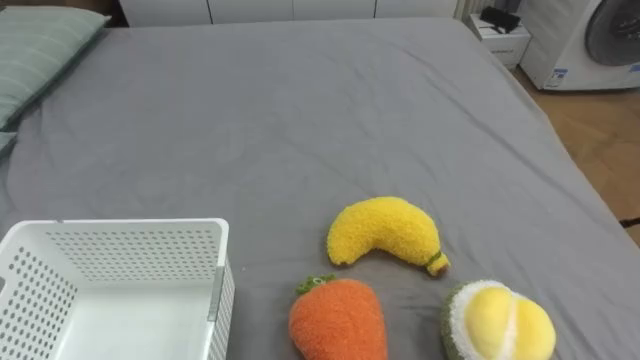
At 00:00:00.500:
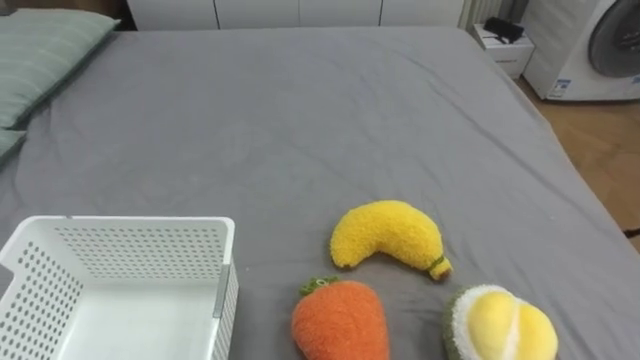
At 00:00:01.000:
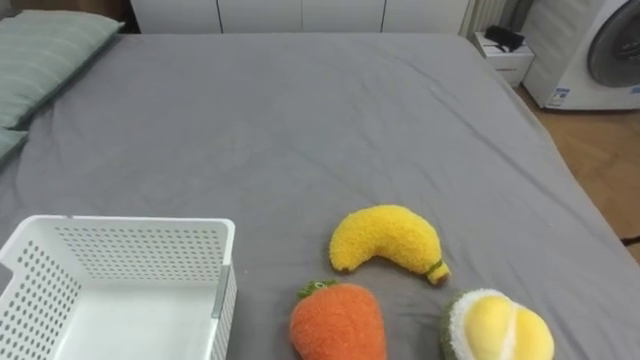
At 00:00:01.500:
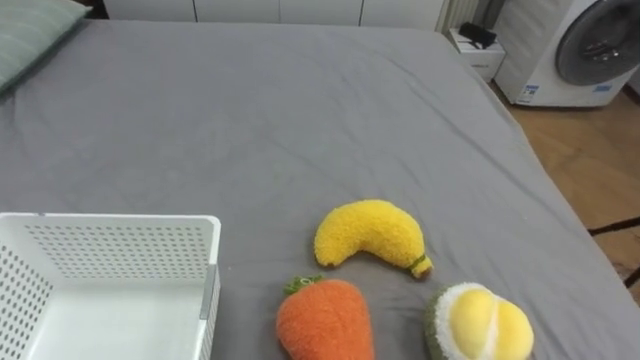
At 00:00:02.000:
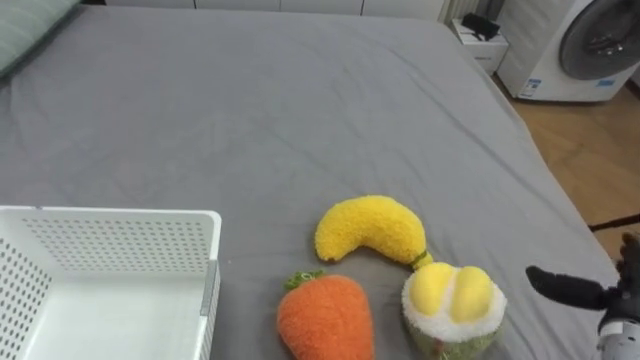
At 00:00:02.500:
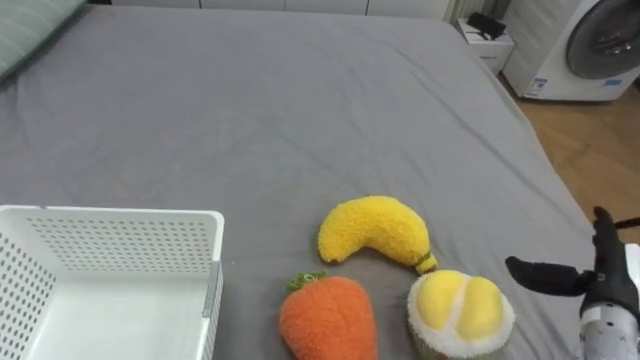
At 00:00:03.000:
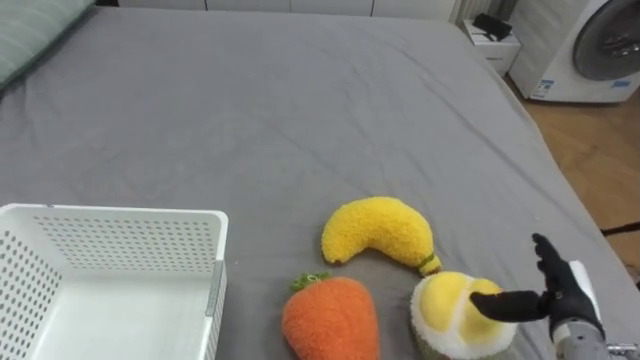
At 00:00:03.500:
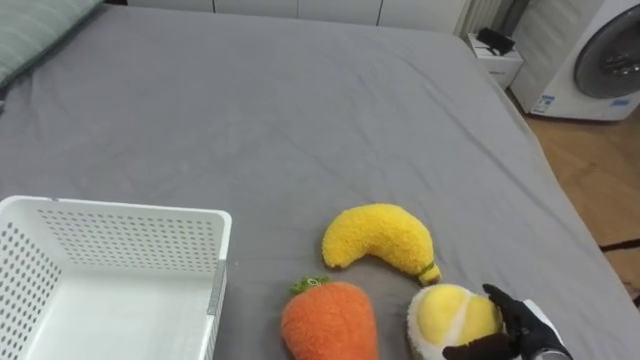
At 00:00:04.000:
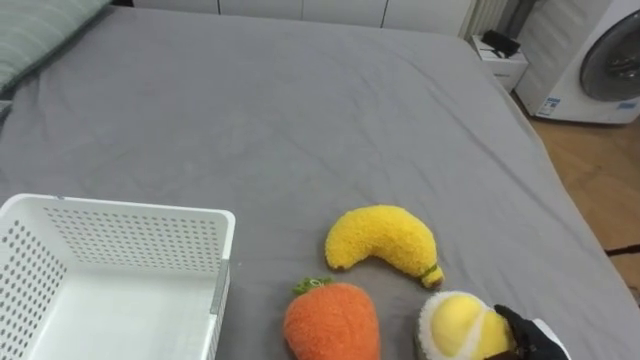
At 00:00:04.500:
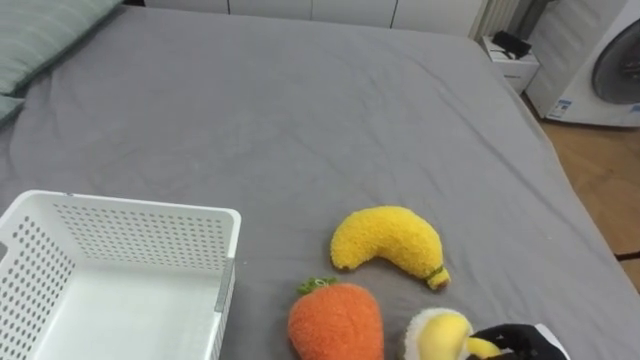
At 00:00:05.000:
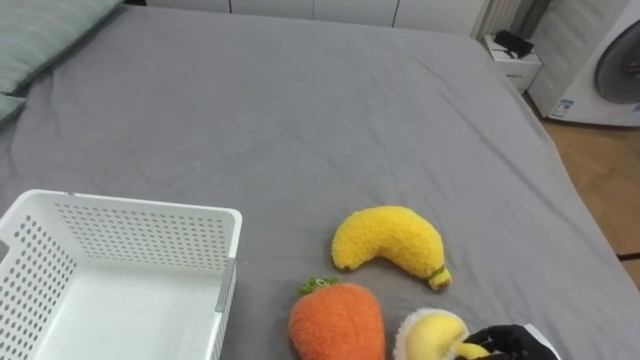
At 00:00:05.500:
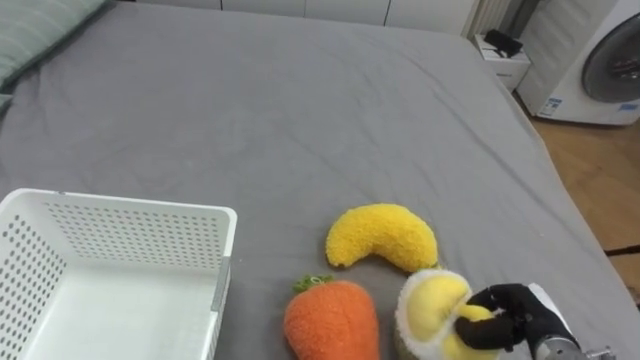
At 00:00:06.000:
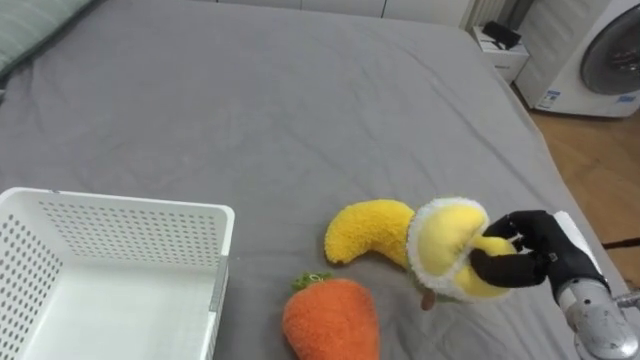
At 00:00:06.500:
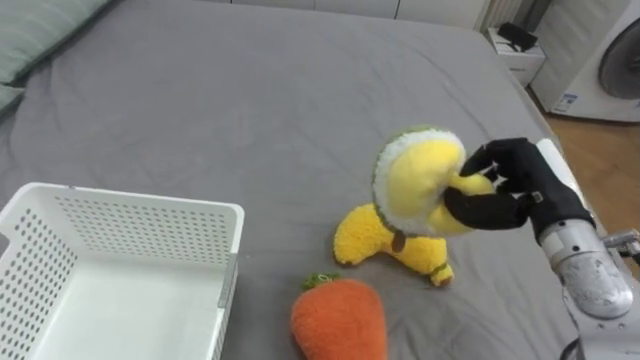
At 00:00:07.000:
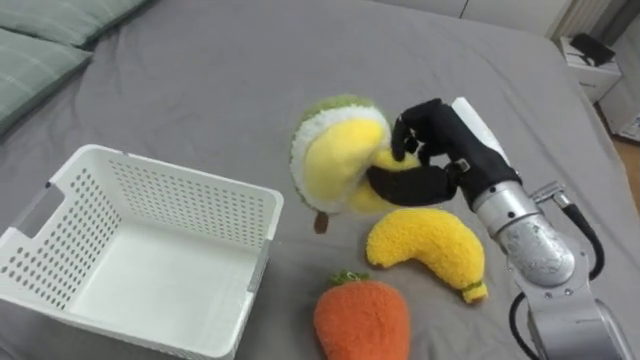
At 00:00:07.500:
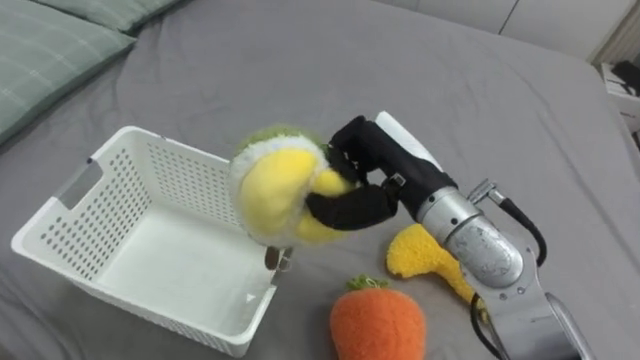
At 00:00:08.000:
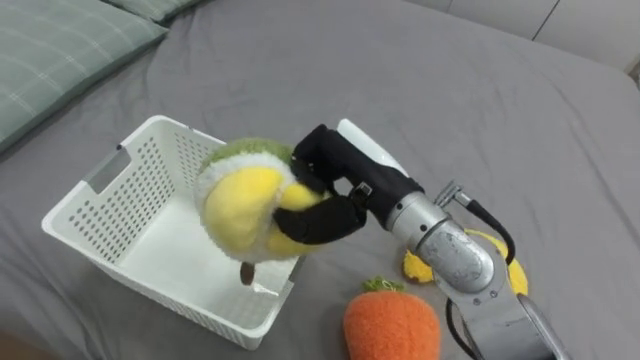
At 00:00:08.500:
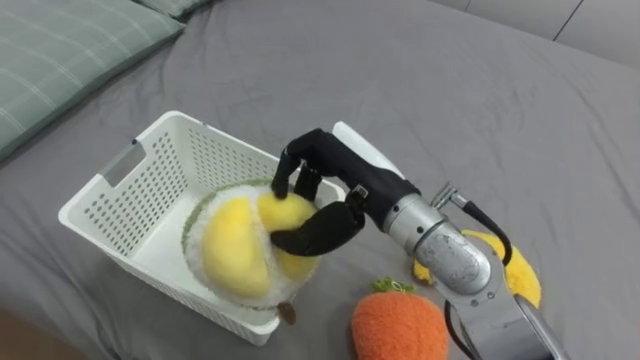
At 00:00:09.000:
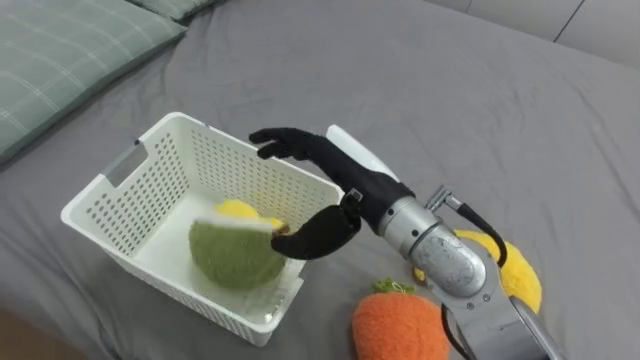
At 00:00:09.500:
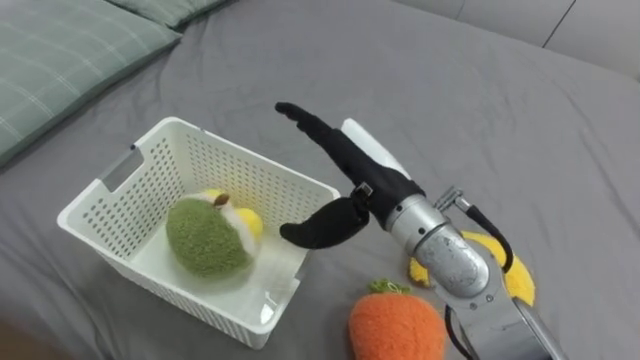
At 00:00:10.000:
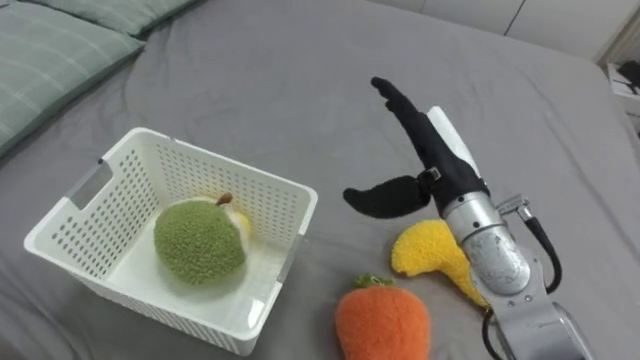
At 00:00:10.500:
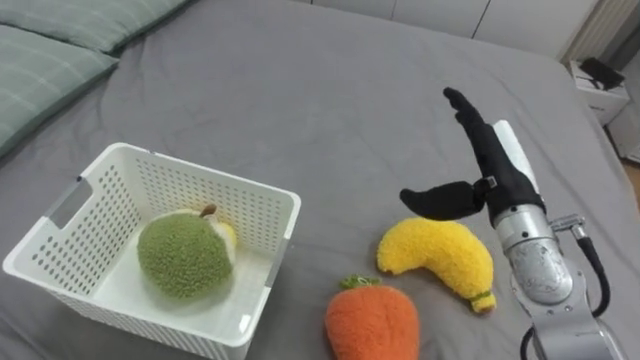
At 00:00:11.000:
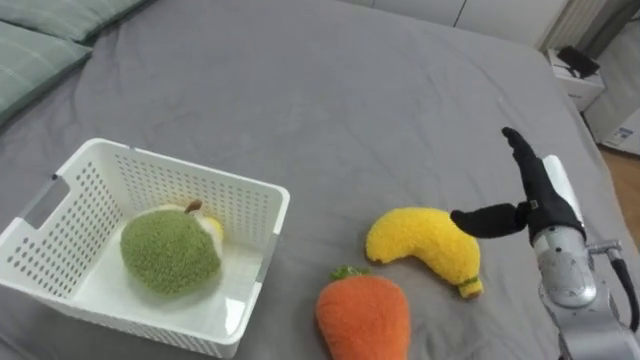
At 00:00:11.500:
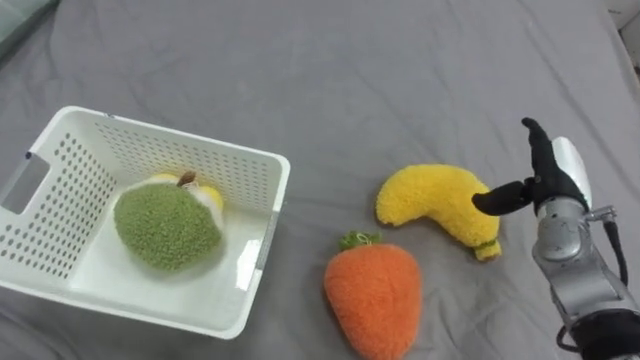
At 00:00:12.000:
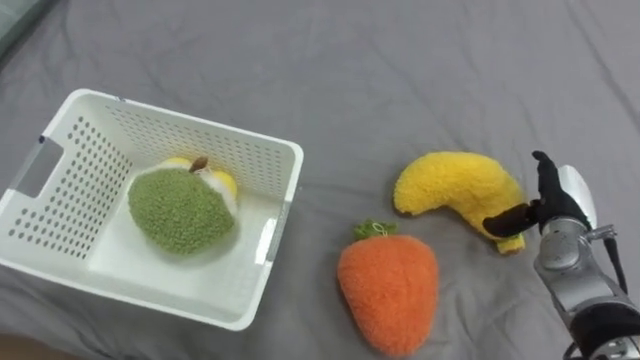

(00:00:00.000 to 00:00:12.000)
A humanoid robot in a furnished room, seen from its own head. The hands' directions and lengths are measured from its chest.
Task of the whole recording: Put the toys on the bed into the basket on the left.
00:00:02.000 - 00:00:04.000: The right hand shifts approximately 10 cm to the left and downward.
00:00:04.000 - 00:00:06.000: The right hand travels upward and forward by approximately 15 cm, and closes up.
00:00:06.000 - 00:00:08.000: The right hand goes approximately 30 cm to the left and upward.
00:00:08.000 - 00:00:10.000: The right hand is displaced to the right by approximately 10 cm, and opens up.
00:00:10.000 - 00:00:12.000: The right hand is displaced to the right and downward by some 25 cm.

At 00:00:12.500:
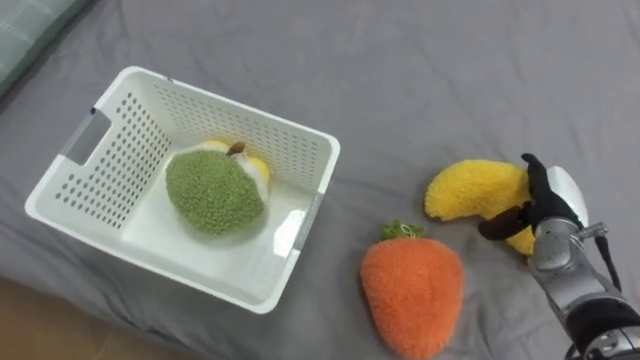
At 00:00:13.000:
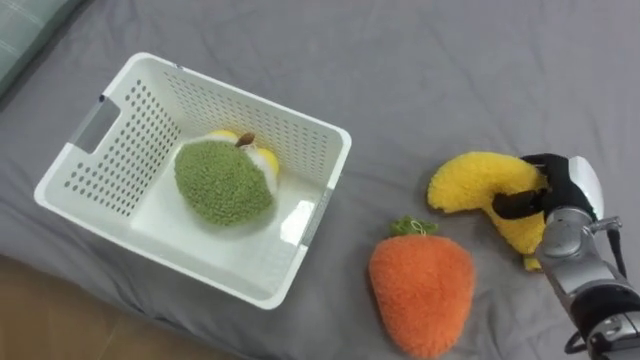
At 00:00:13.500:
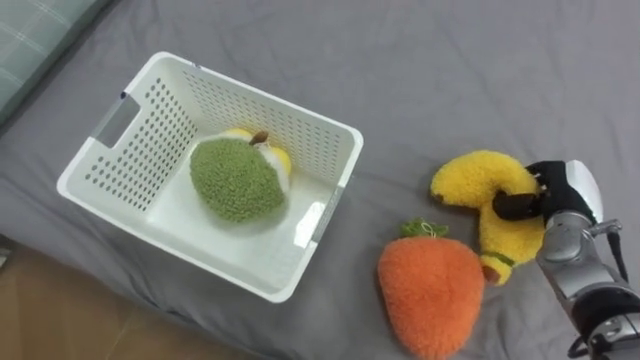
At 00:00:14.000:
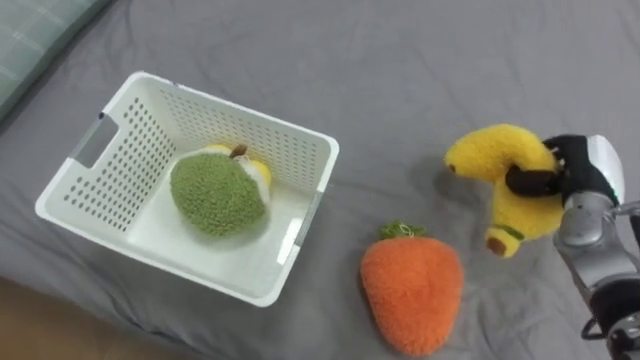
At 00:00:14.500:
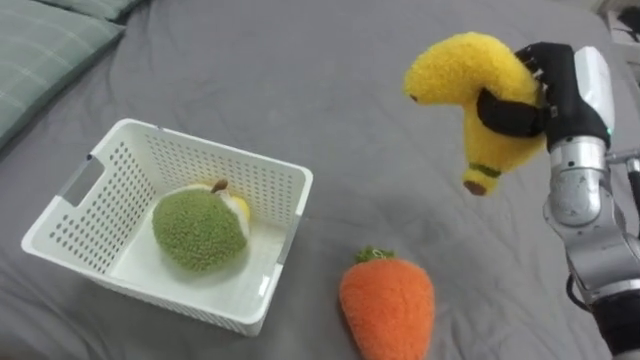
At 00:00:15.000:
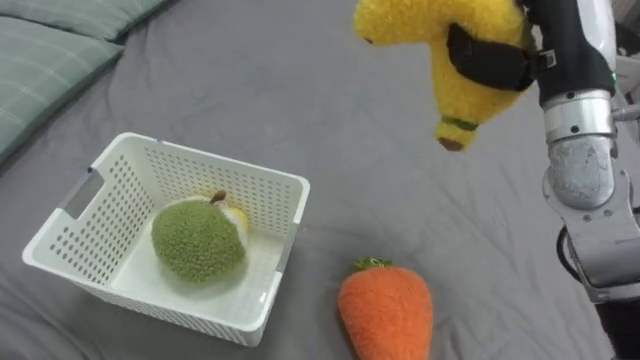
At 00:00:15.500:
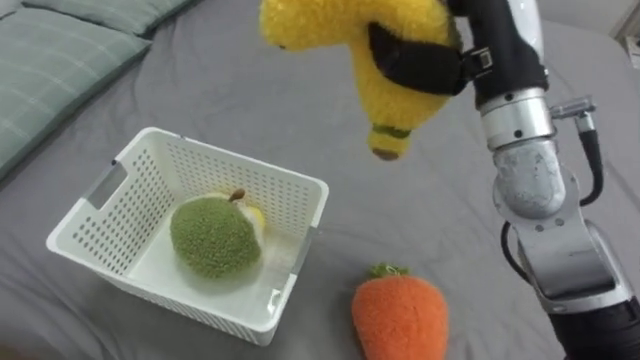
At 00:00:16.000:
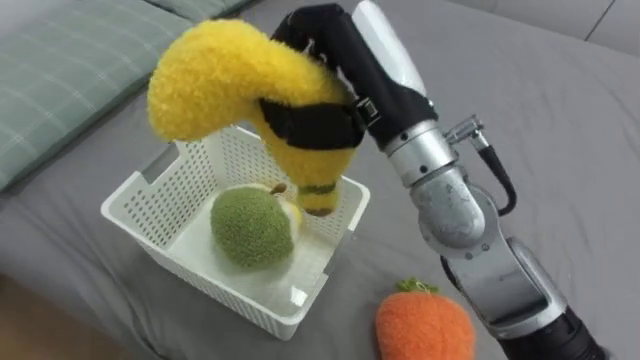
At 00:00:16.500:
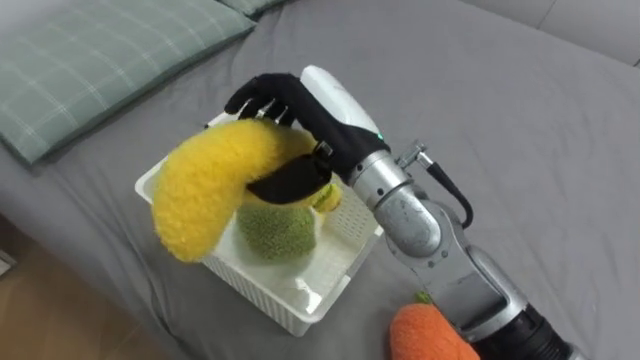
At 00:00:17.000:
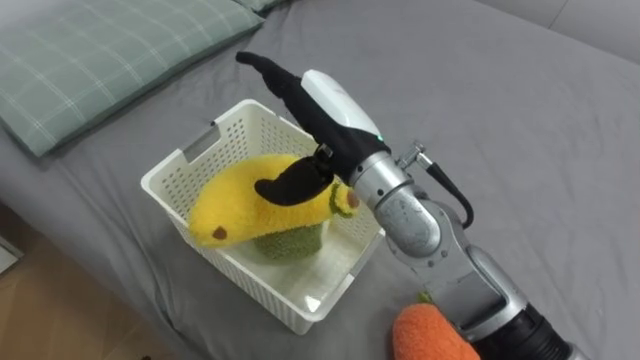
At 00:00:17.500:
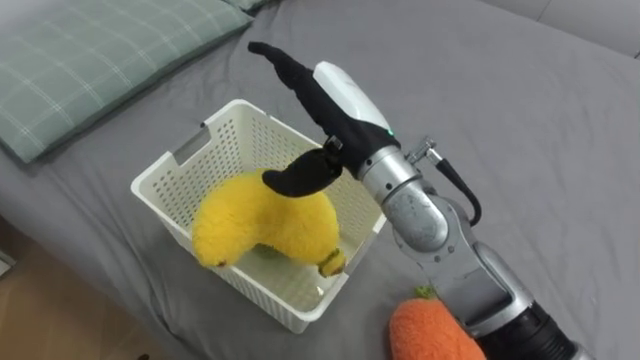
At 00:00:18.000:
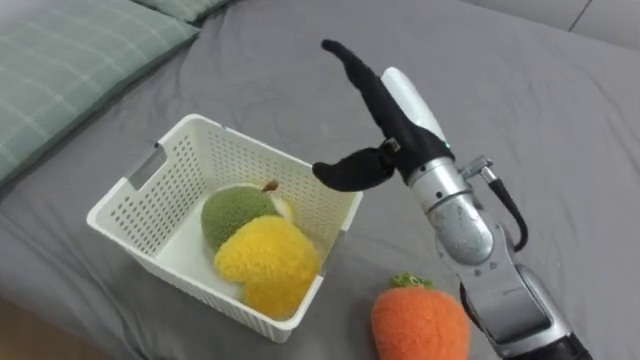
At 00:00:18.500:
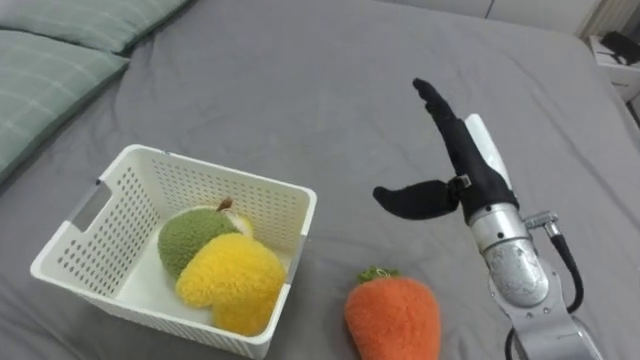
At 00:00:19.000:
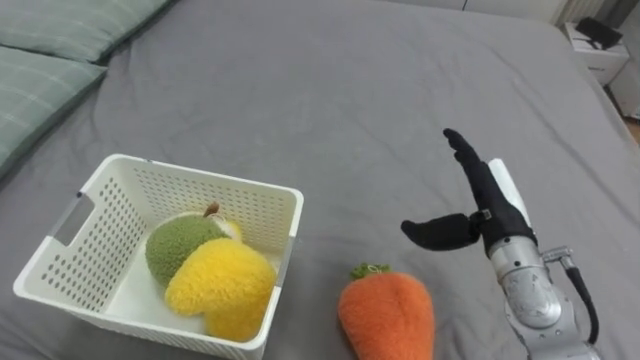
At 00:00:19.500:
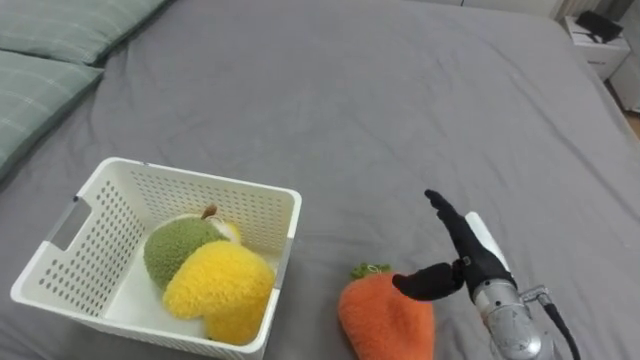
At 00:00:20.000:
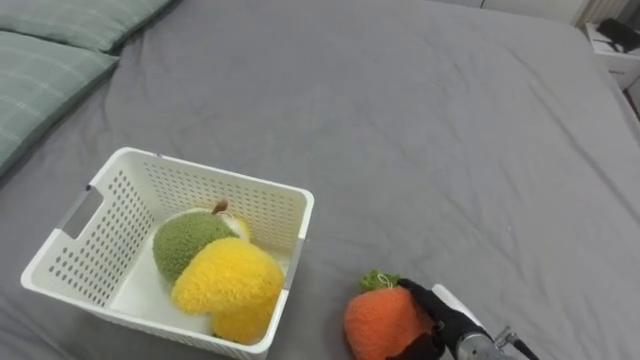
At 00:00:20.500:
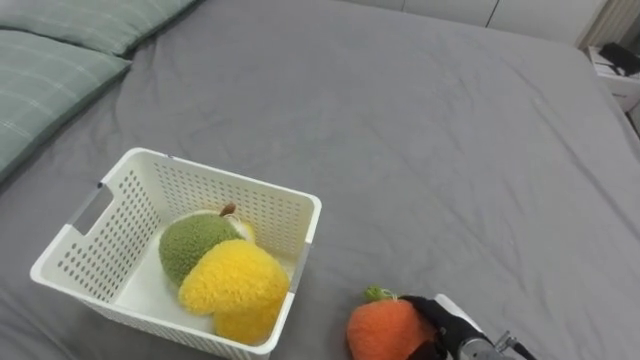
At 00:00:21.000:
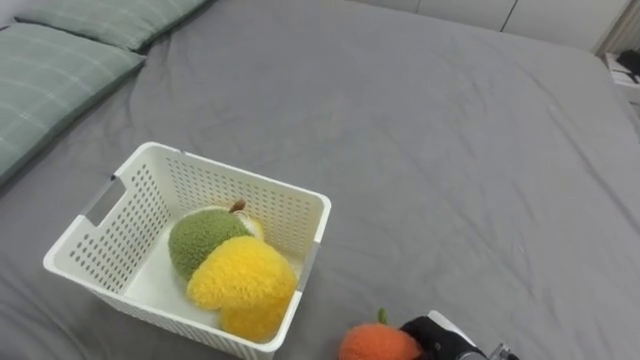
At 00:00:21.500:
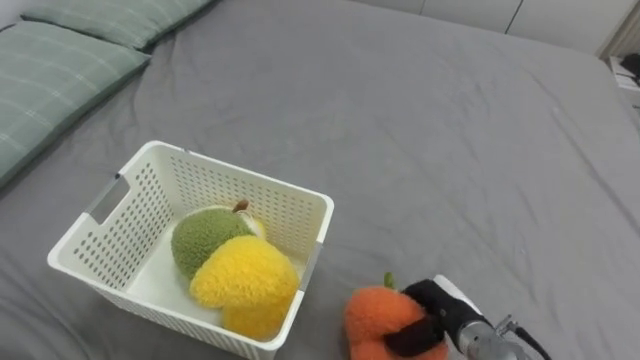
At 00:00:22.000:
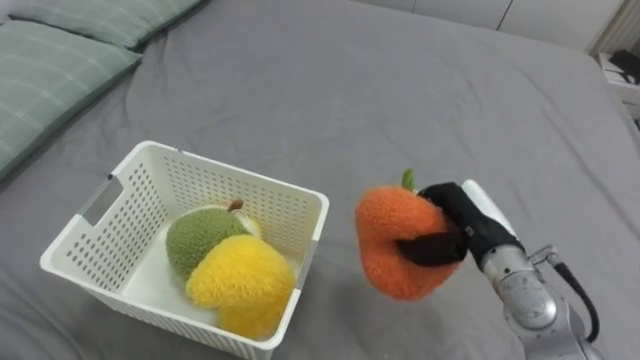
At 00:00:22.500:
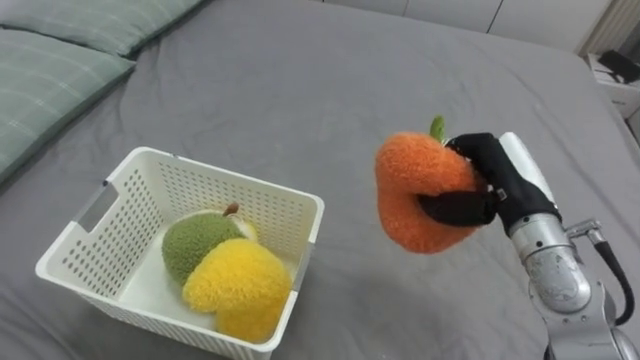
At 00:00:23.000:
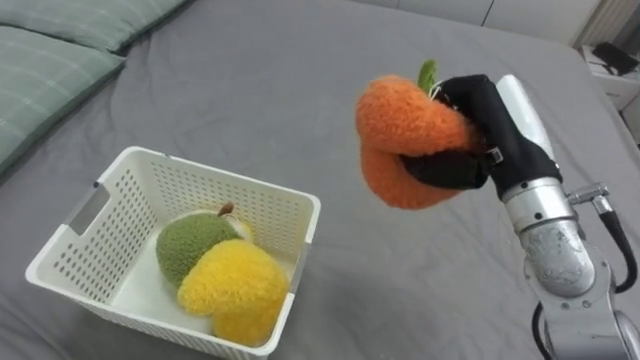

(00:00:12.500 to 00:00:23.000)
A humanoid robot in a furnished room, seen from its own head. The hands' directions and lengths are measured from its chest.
Task of the whole recording: Put the toys on the bed into the basket on the left.
00:00:12.500 - 00:00:14.500: The right hand is displaced upward by roughly 15 cm, and closes its fingers.
00:00:14.500 - 00:00:16.500: The right hand goes roughly 25 cm to the left.
00:00:16.500 - 00:00:19.000: The right hand moves to the right and downward, roughly 25 cm, and opens.
00:00:19.000 - 00:00:21.000: The right hand is displaced downward and backward by about 25 cm, and closes.
00:00:21.000 - 00:00:23.000: The right hand moves upward and forward, approximately 30 cm.
